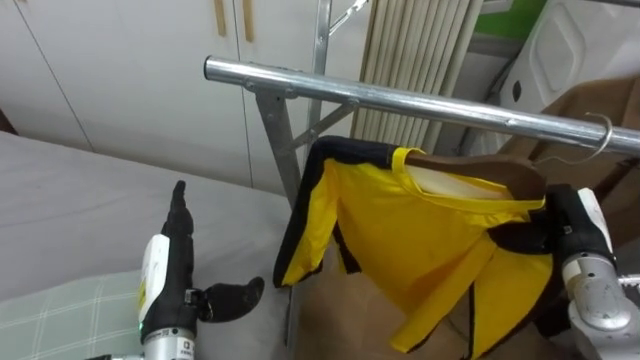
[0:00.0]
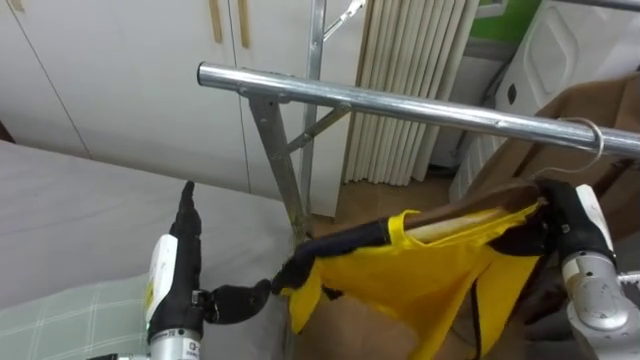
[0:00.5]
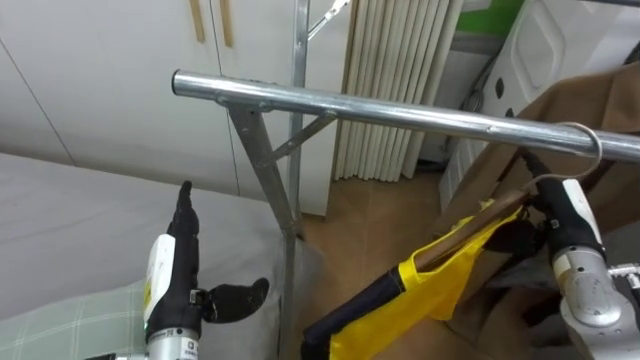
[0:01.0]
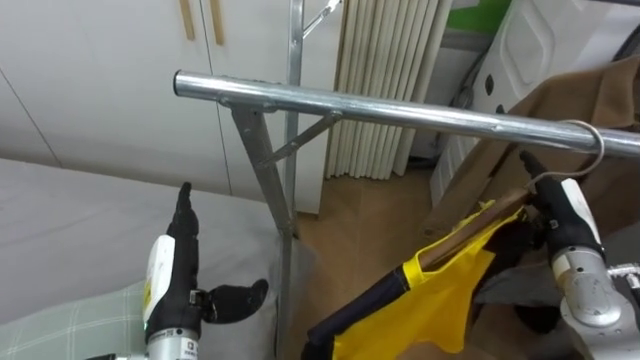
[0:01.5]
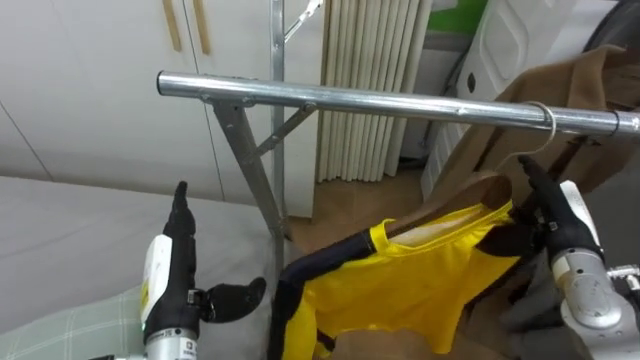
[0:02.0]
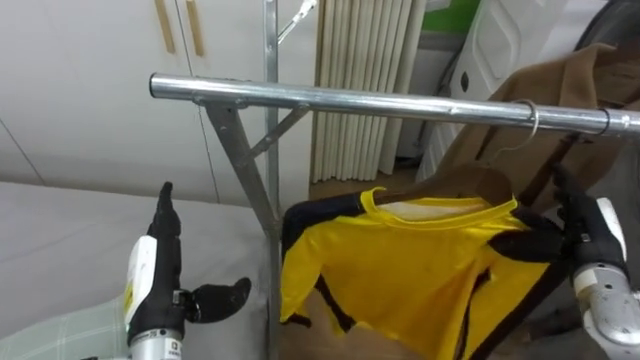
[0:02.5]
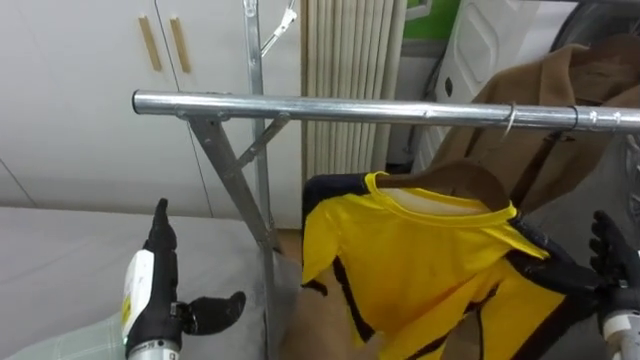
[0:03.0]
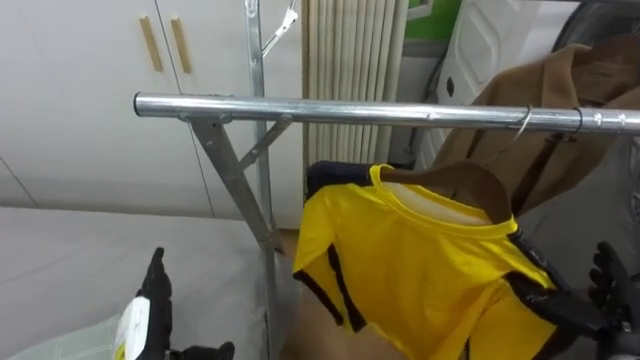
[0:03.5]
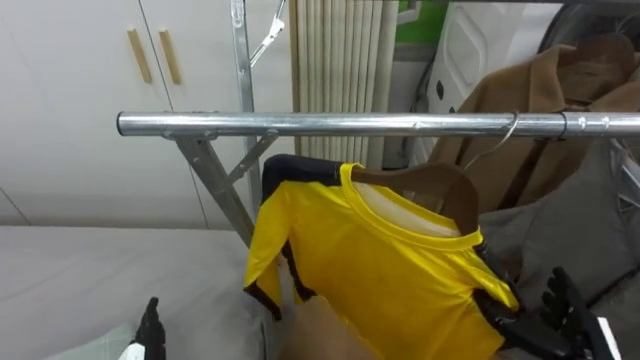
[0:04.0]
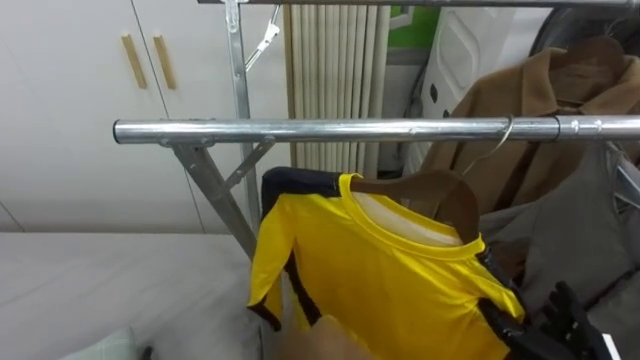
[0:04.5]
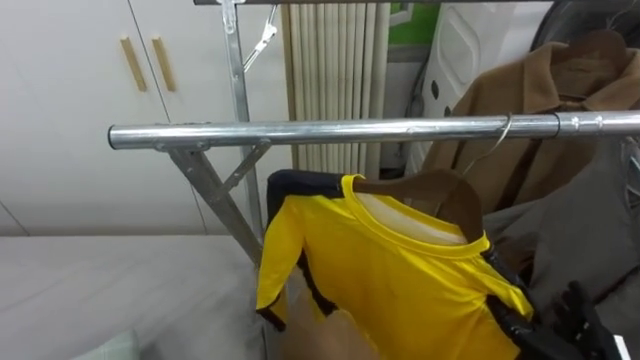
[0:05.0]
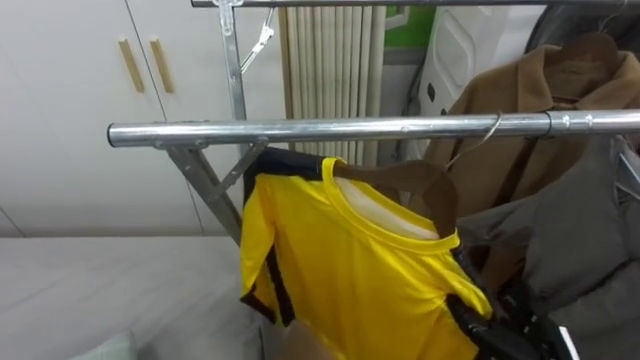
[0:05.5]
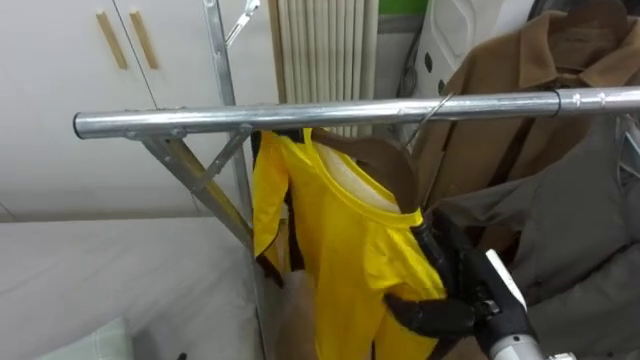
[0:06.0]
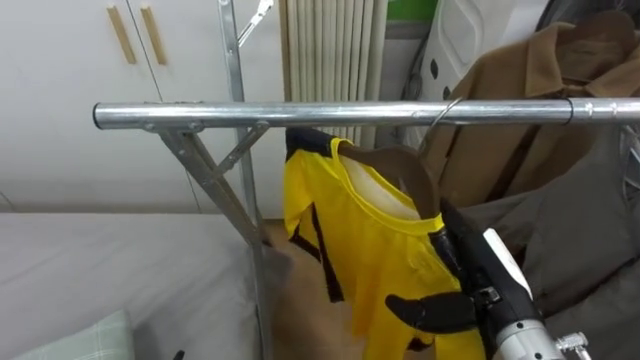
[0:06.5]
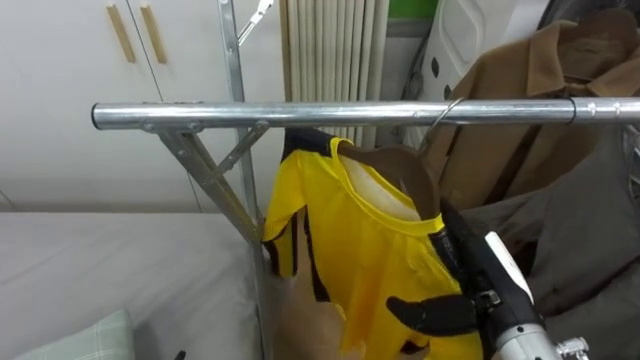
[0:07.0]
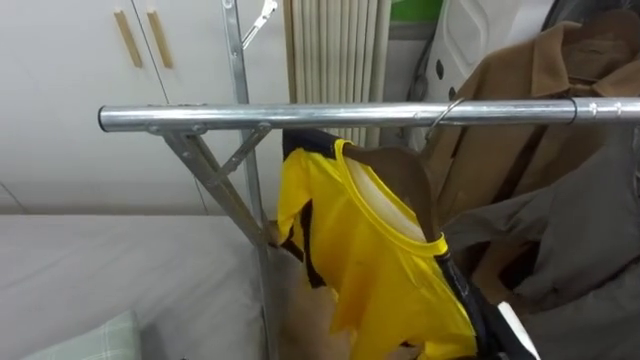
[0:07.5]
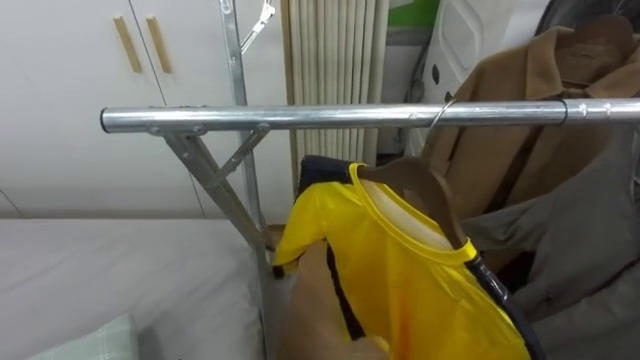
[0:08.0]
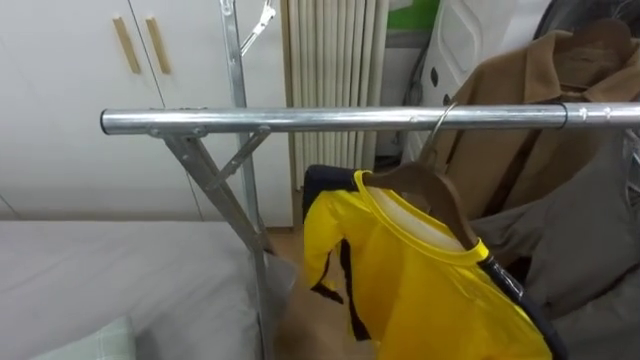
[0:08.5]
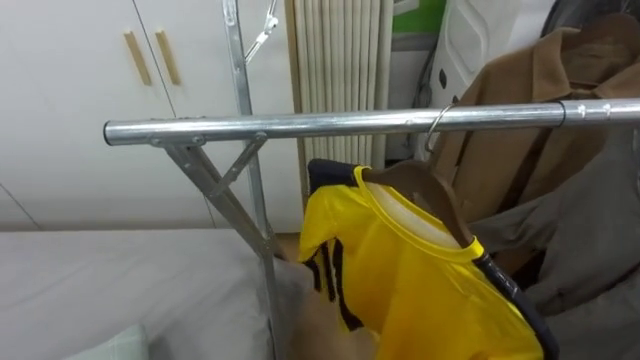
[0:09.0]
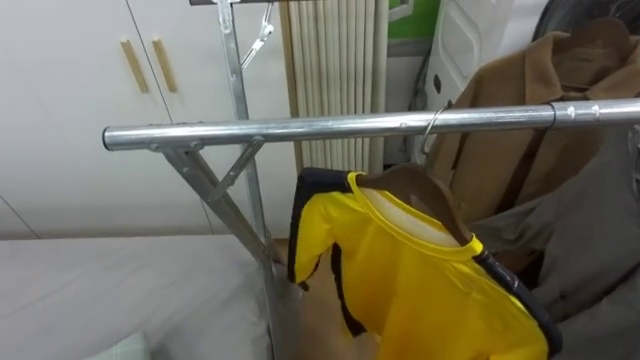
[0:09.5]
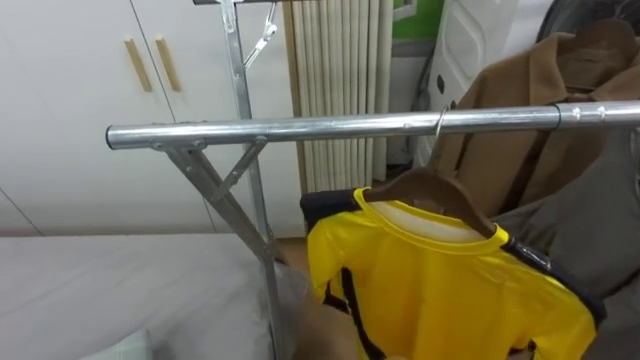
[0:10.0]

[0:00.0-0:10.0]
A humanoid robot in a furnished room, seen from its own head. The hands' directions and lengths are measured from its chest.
Task of the whole recording: Pick up the yellow shirt on the bed and hang it on the clothes rack on the right.
0:00.0 to 0:02.0: The right hand opens.

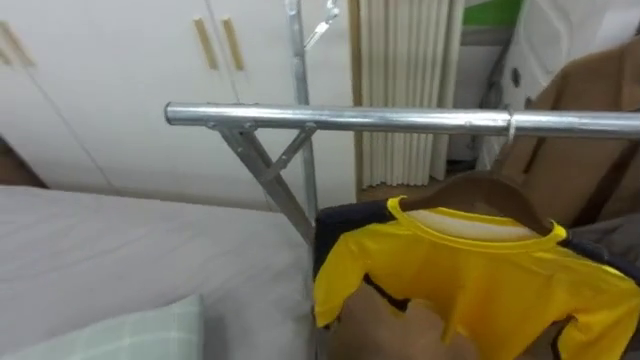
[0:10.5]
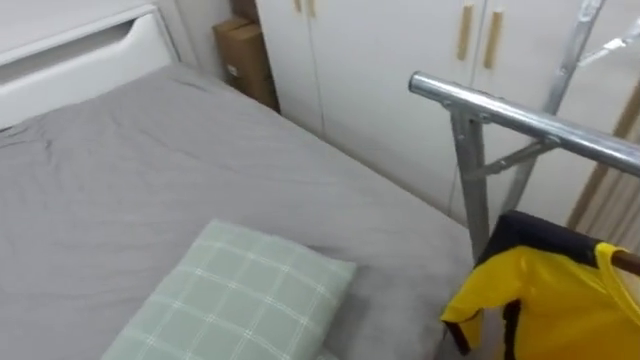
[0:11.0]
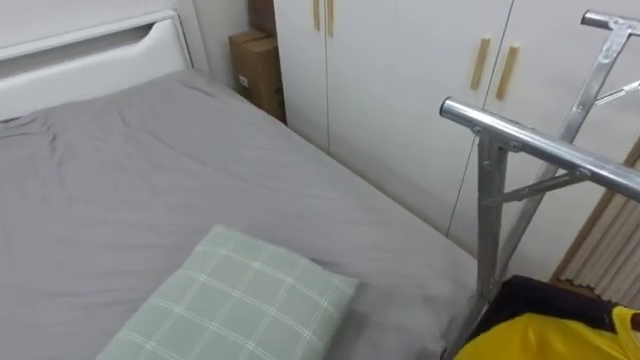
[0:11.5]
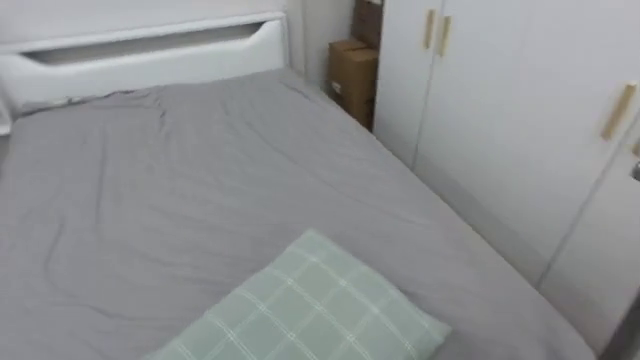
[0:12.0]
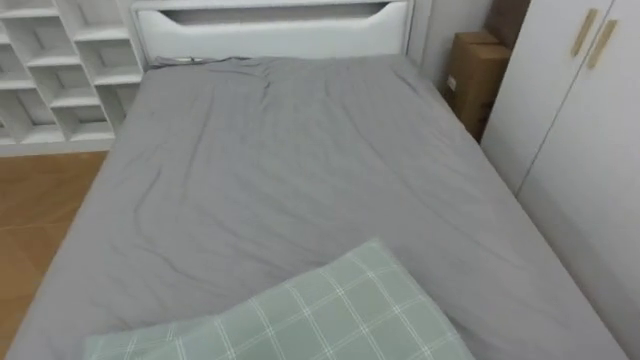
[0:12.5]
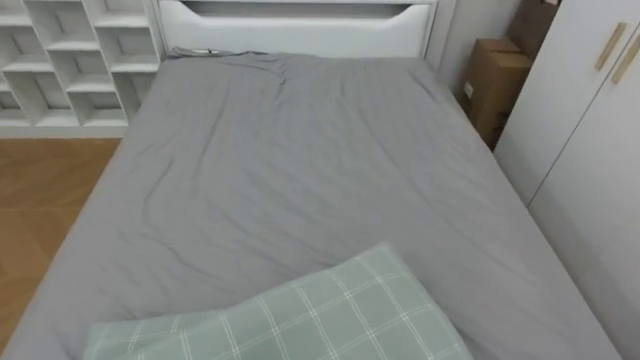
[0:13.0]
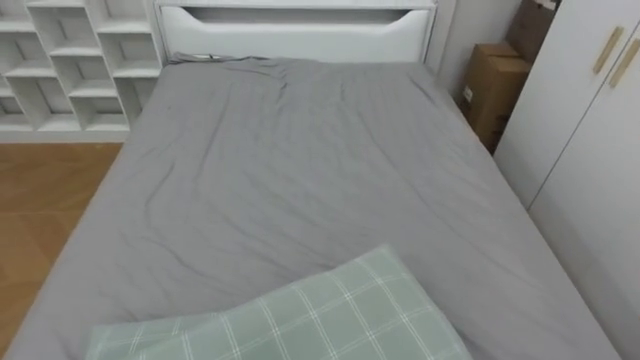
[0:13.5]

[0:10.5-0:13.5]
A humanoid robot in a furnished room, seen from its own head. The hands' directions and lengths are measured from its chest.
Task of the whole recording: Pick up the yellow shirt on the bed and hang it on the clothes rack on the right.
0:10.5 to 0:12.0: The robot rotates roughly 60 degrees to its left.
0:12.0 to 0:13.5: The robot's body swings some 20 degrees to its left.

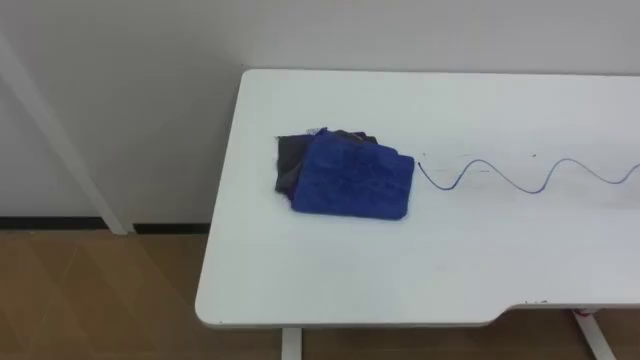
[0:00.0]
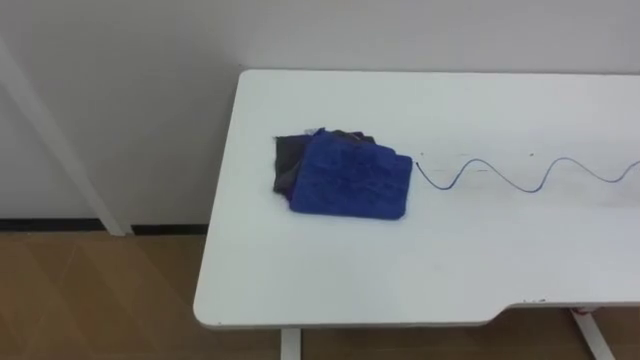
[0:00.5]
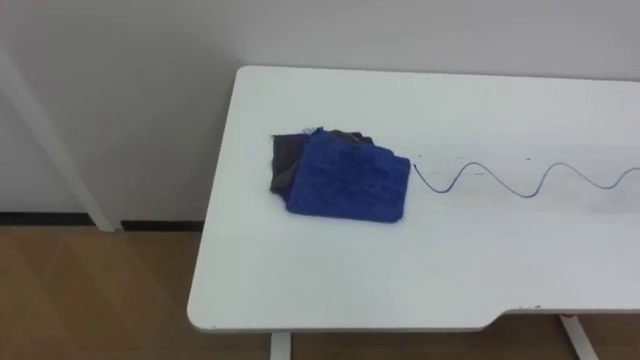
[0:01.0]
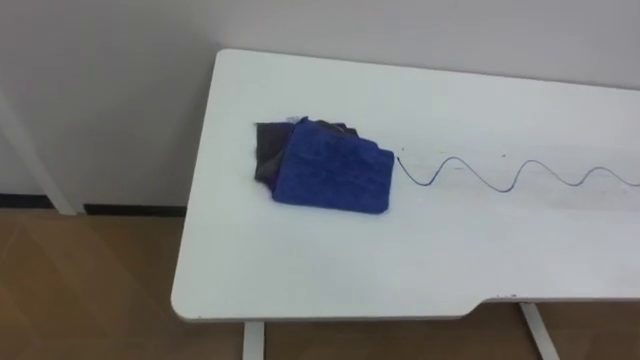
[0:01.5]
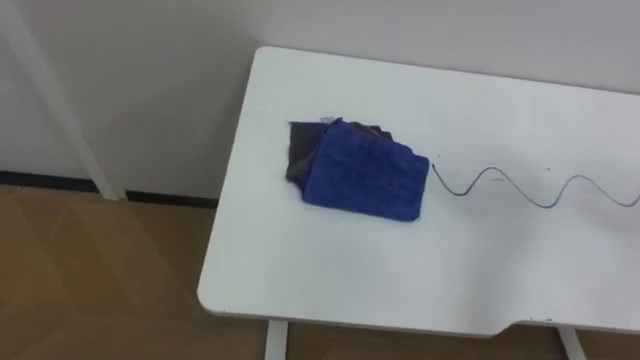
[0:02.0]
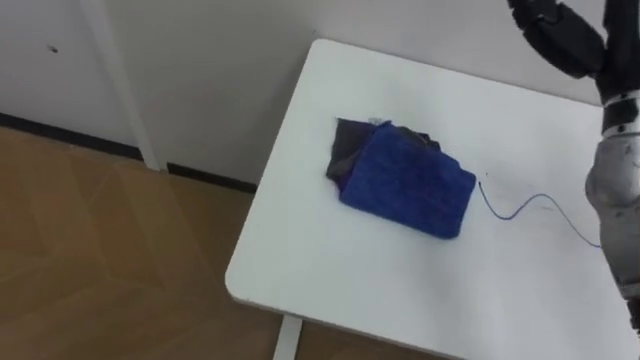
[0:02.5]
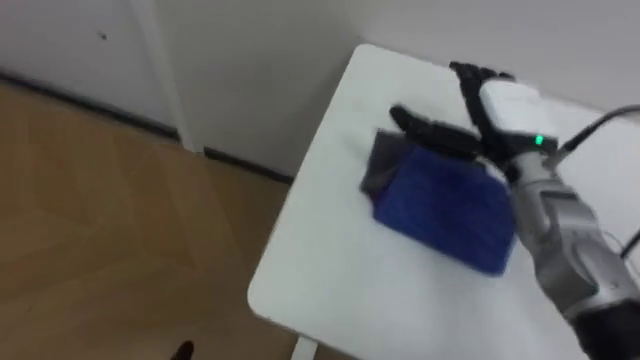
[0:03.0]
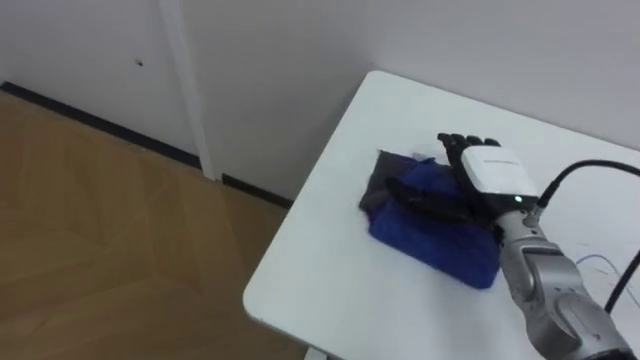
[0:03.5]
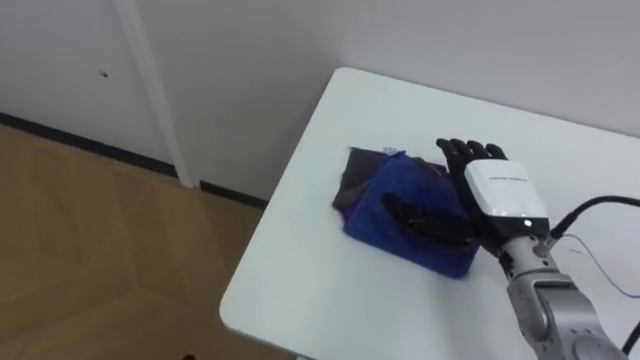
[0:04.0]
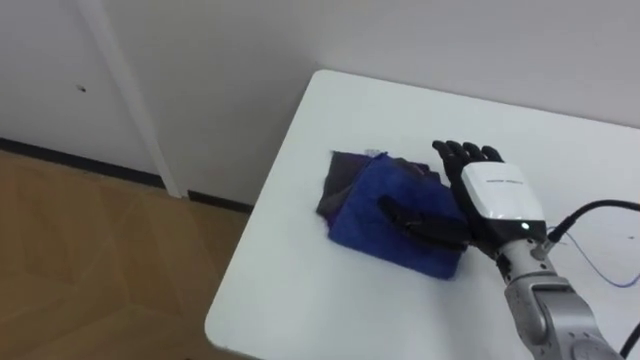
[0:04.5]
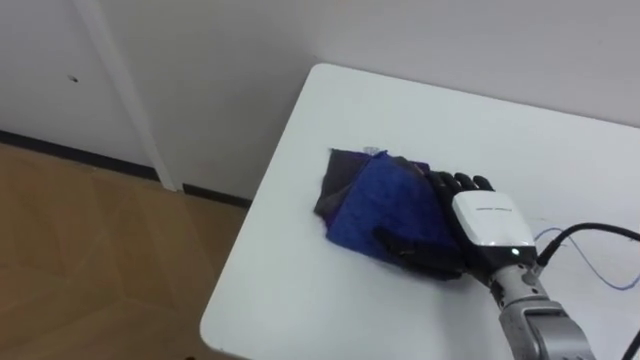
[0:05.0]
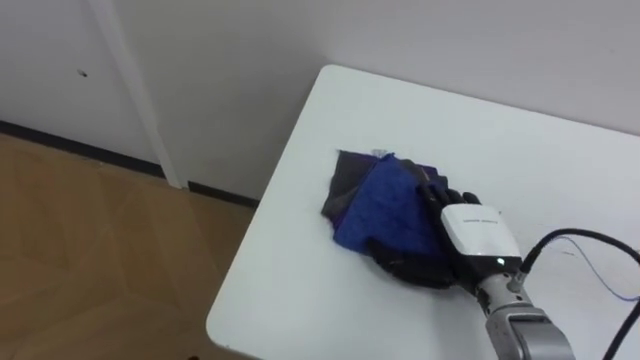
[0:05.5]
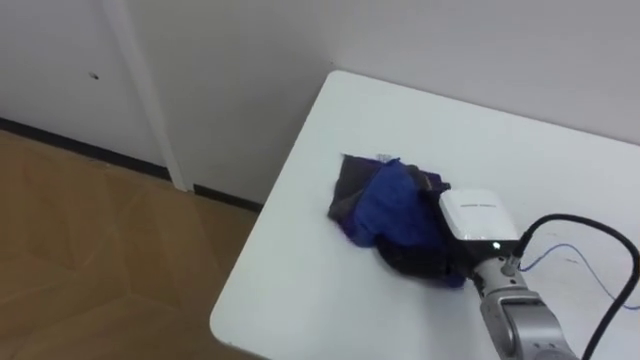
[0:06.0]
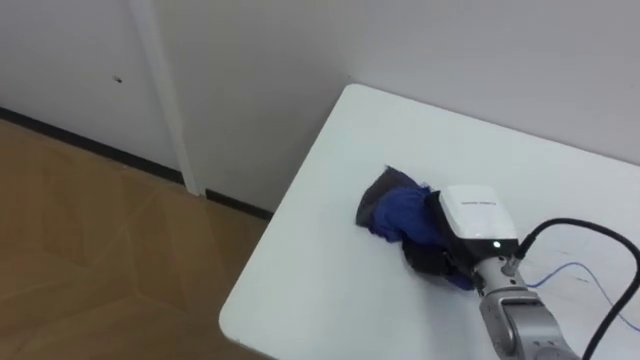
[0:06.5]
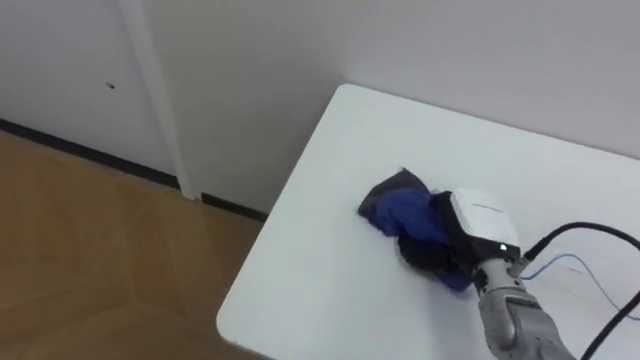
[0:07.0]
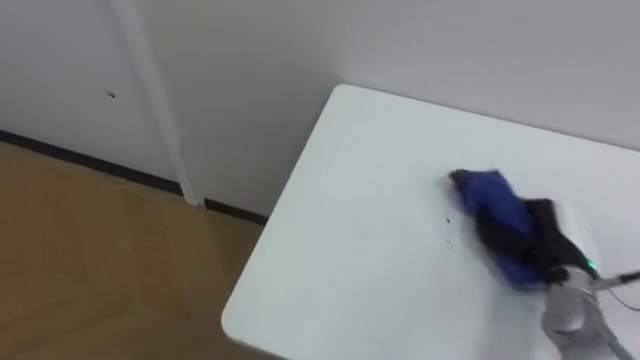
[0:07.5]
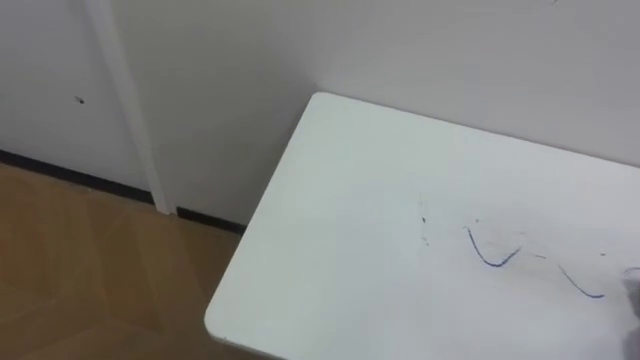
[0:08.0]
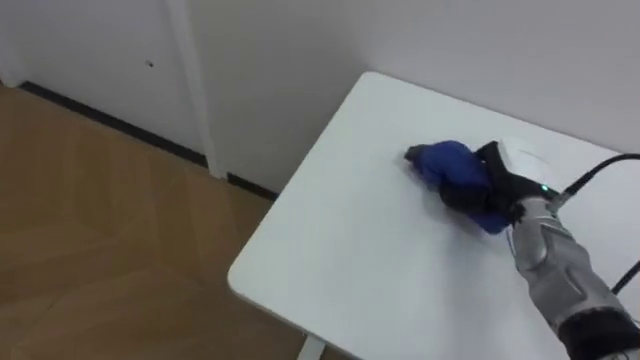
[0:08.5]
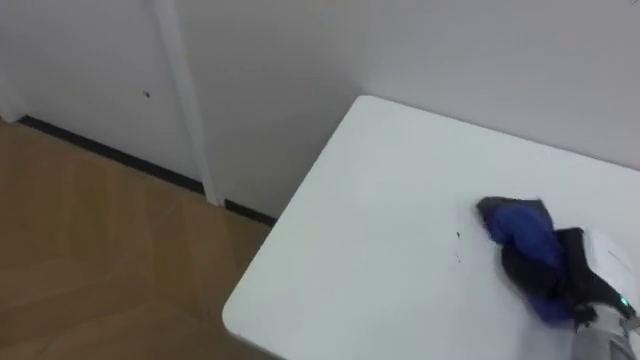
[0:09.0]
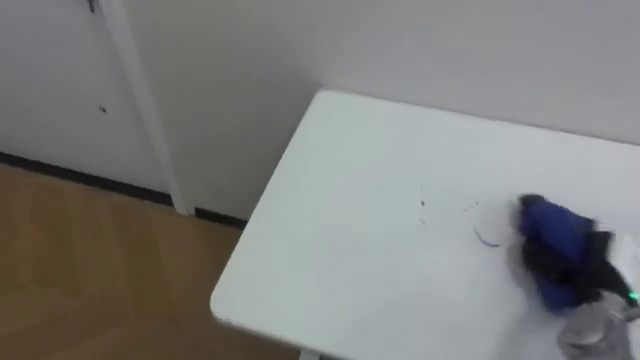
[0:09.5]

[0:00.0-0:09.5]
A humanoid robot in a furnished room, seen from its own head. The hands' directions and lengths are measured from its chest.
Task of the whole recording: Wipe the blue pen marks off the table with the rag.
0:04.0 to 0:05.5: The right hand shifts by roughly 5 cm.
0:05.5 to 0:07.5: The right hand travels to the right by some 10 cm, and closes up.
